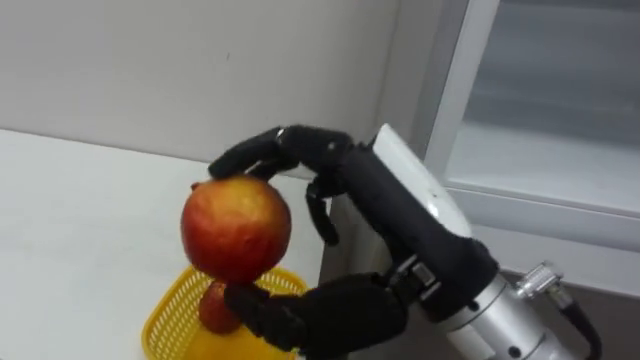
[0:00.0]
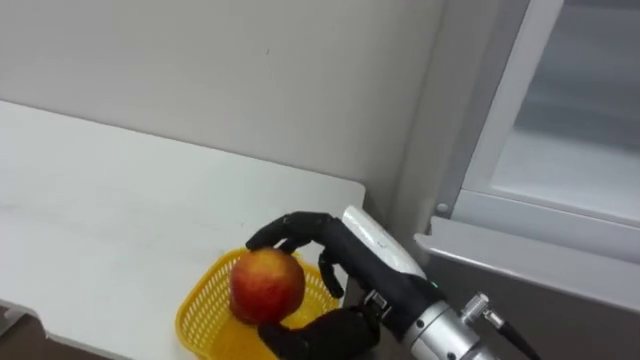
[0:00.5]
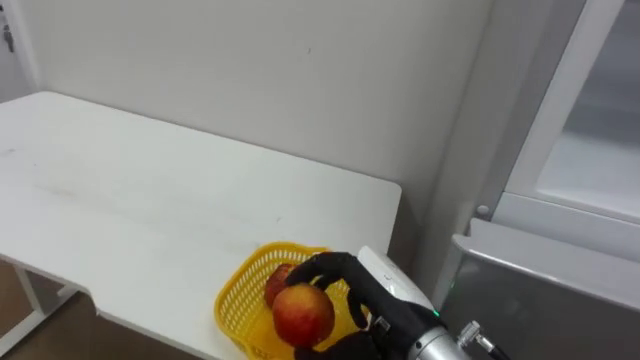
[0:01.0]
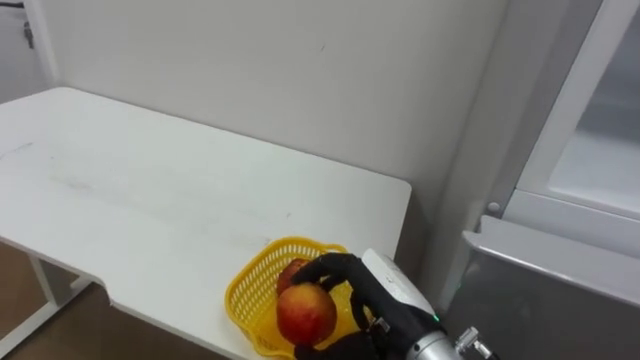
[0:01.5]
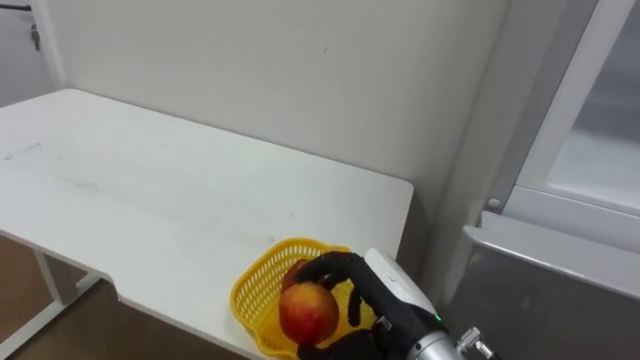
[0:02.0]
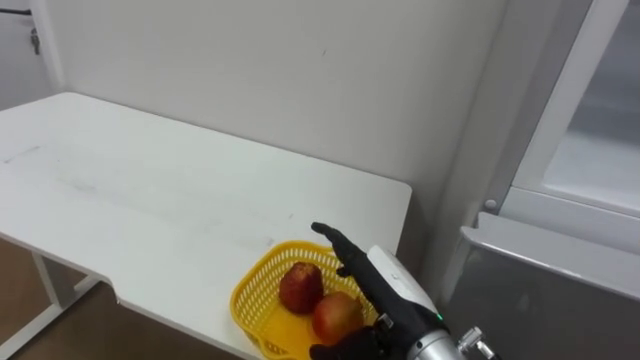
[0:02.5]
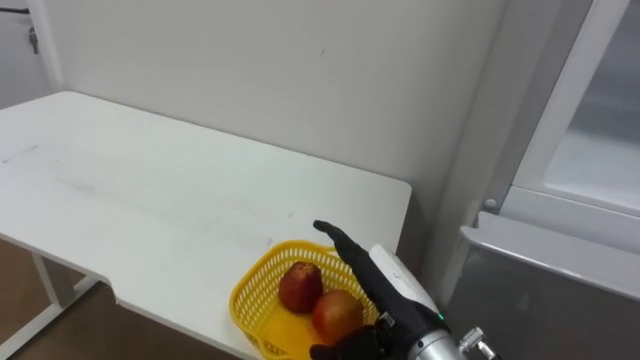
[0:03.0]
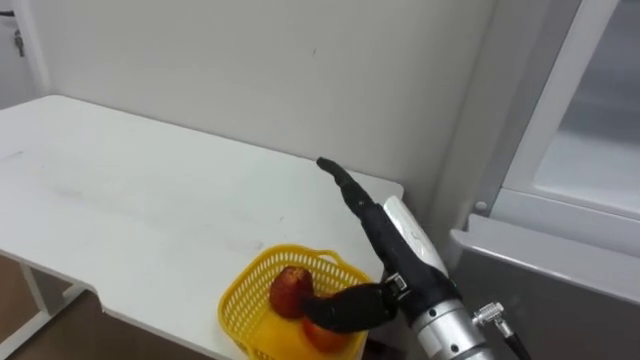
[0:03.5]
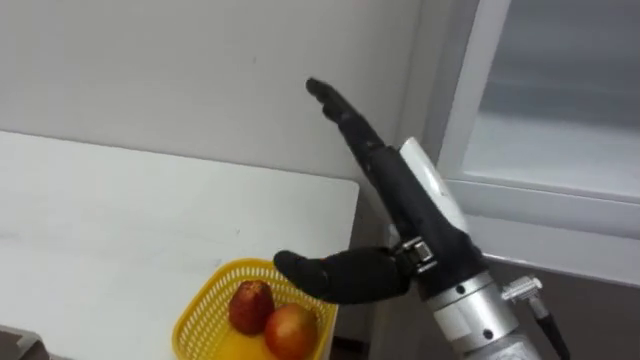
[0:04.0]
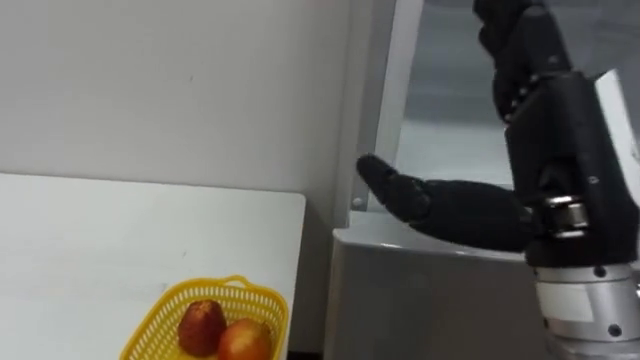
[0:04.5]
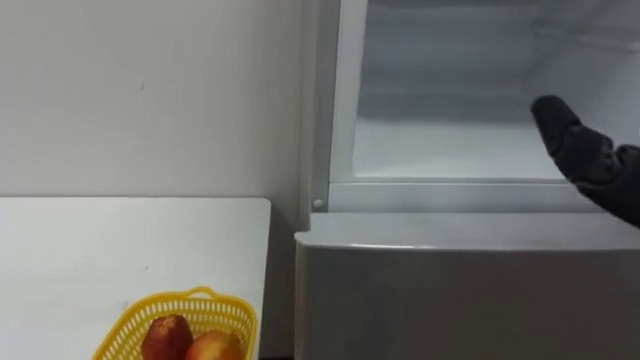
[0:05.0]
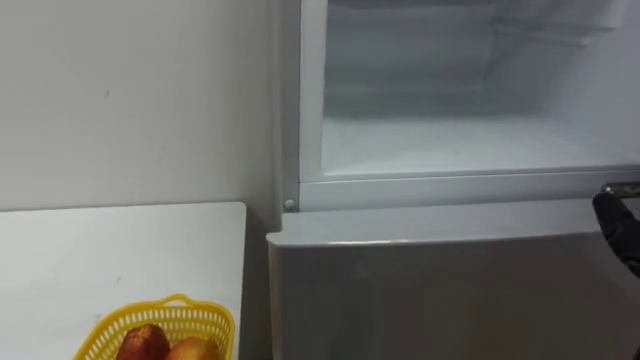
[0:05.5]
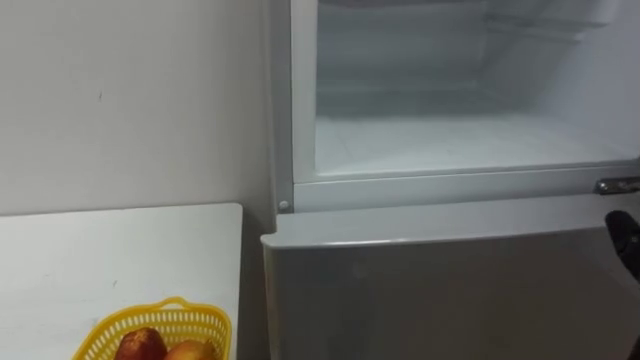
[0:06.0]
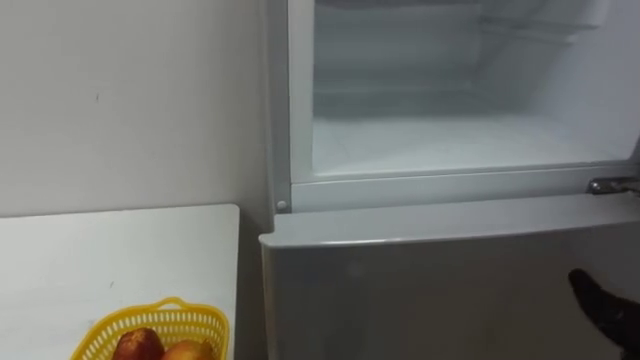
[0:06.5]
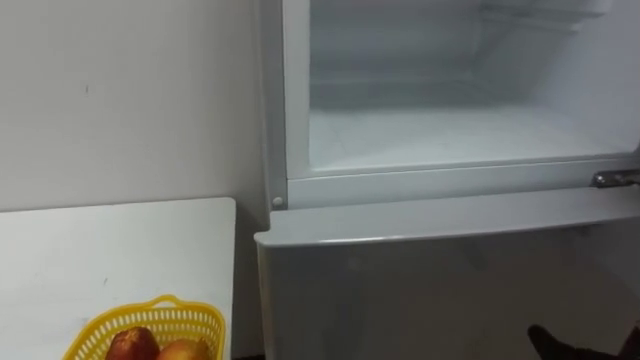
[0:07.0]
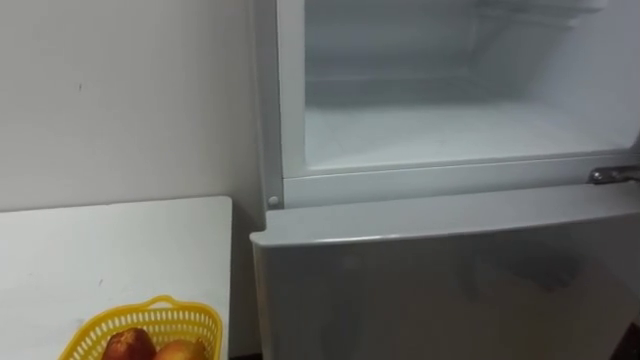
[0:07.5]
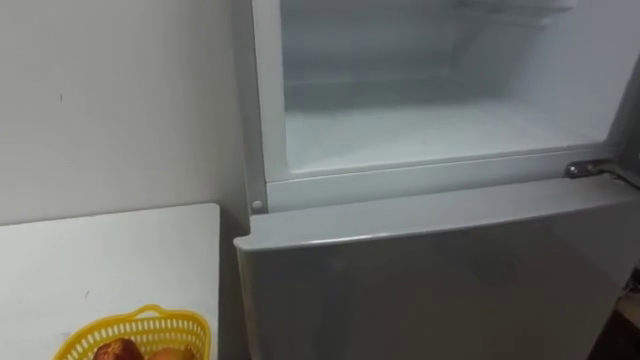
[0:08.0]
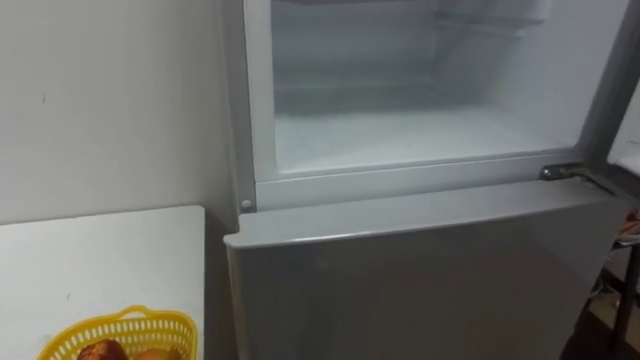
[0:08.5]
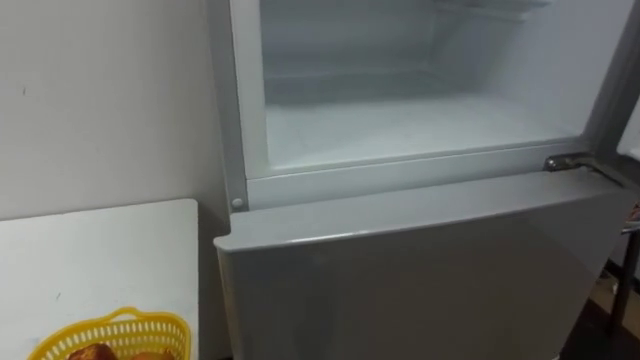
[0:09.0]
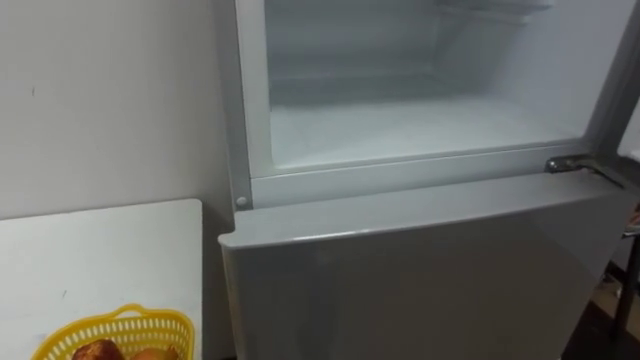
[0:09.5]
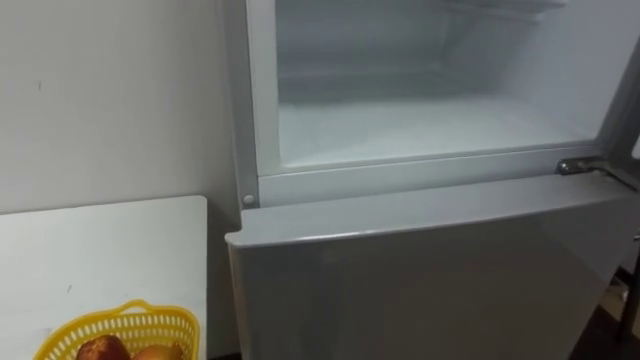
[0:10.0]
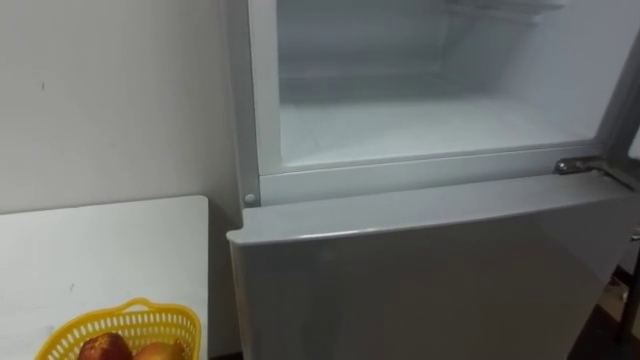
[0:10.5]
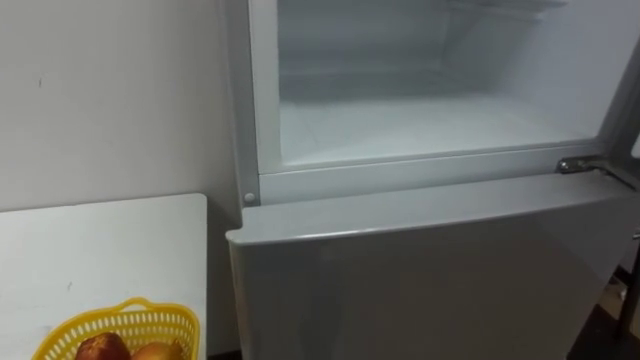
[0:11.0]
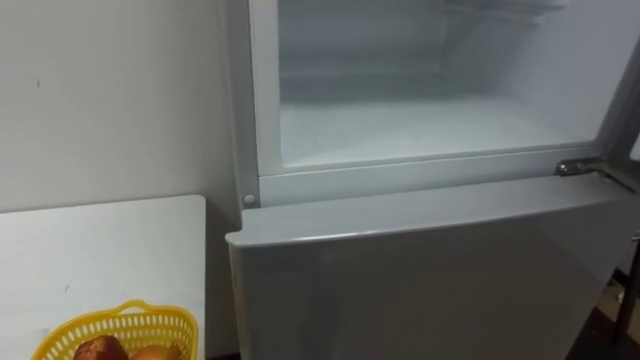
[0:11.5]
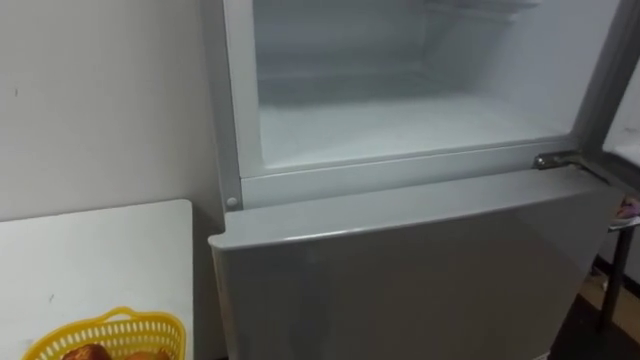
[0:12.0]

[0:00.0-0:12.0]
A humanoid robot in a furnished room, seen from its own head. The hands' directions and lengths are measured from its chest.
Task of the whole recording: Open the refrigerator door, take out the apple and the pomegranate, place them in the fruit basket on the left, and close the refrigerator door.
0:00.0 to 0:02.0: The right hand travels downward and forward by approximately 20 cm.
0:02.0 to 0:04.0: The right hand moves upward, roughly 15 cm, and opens its fingers.

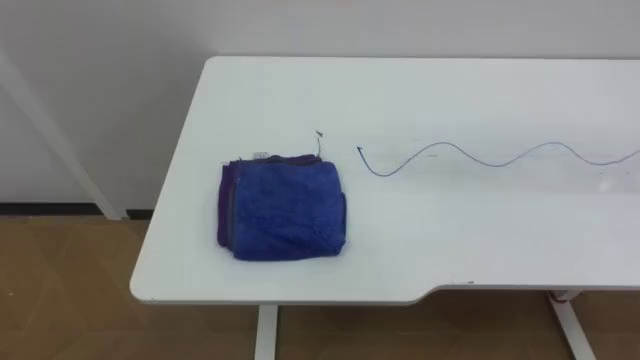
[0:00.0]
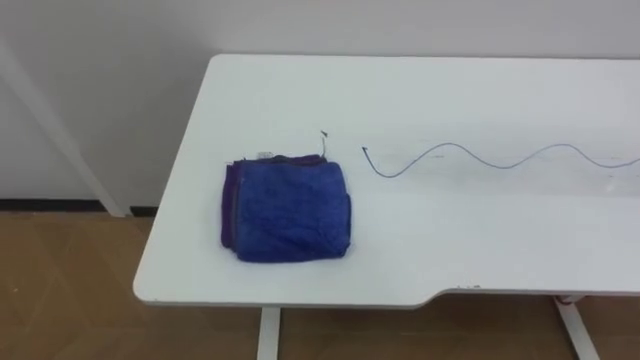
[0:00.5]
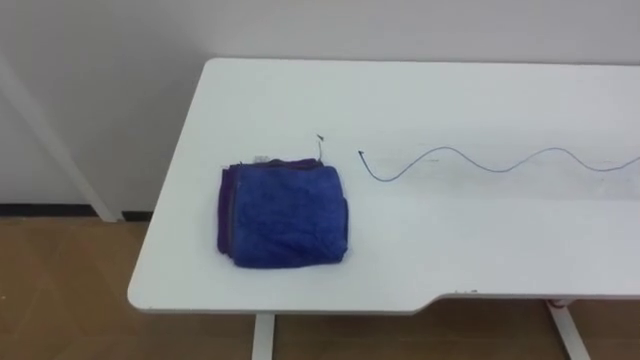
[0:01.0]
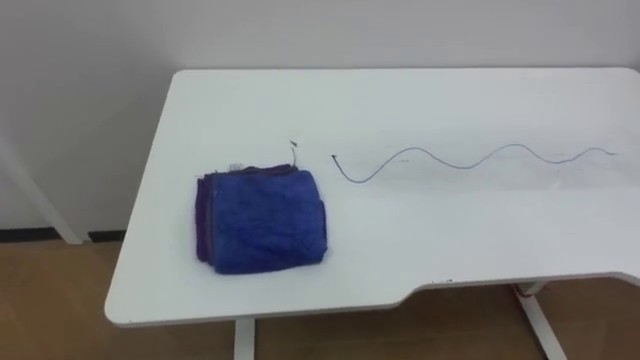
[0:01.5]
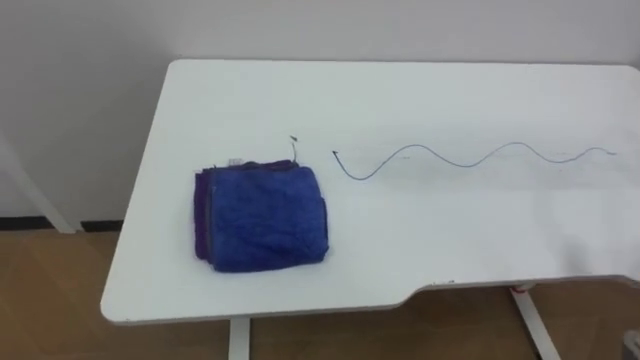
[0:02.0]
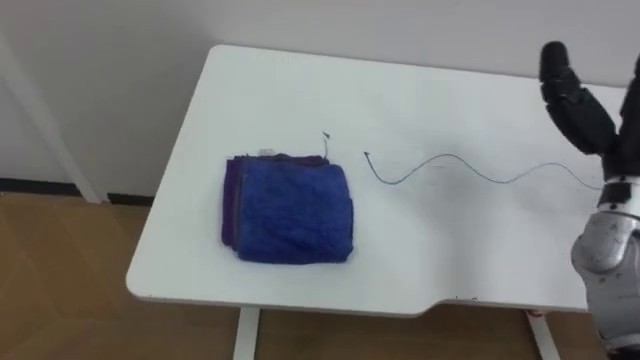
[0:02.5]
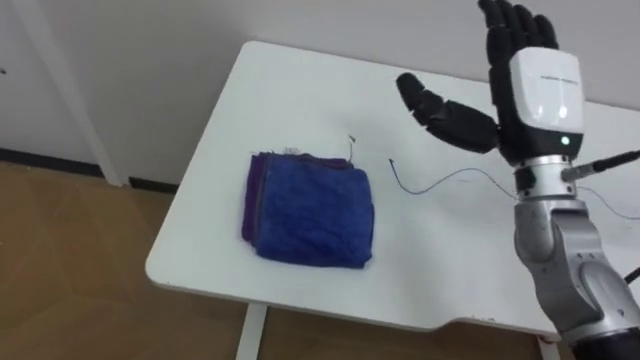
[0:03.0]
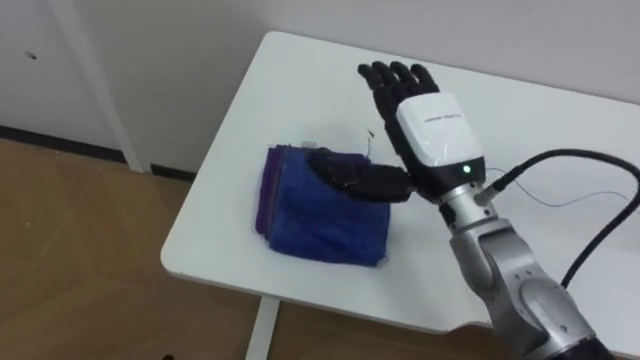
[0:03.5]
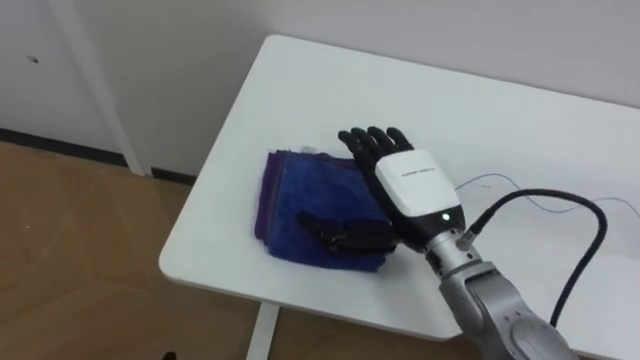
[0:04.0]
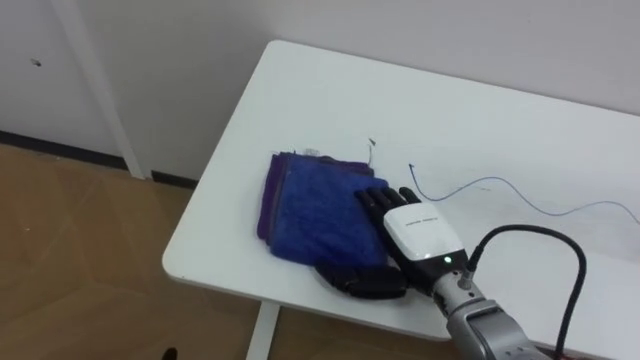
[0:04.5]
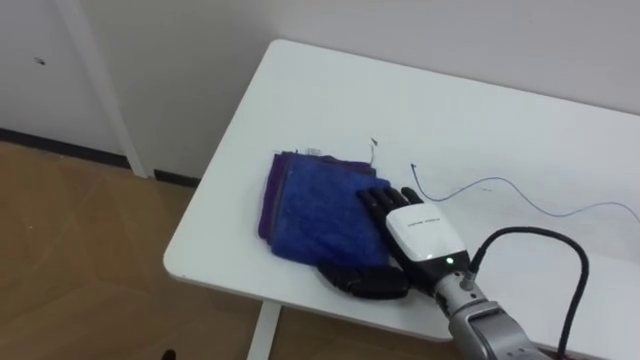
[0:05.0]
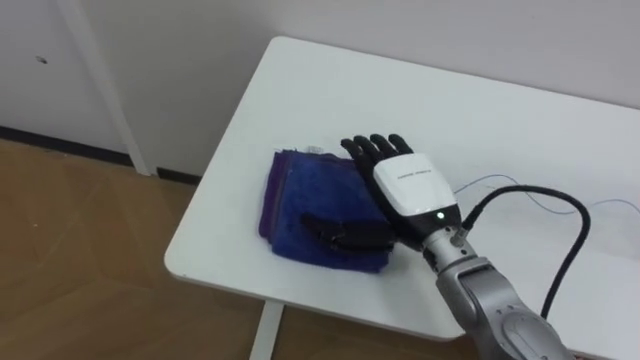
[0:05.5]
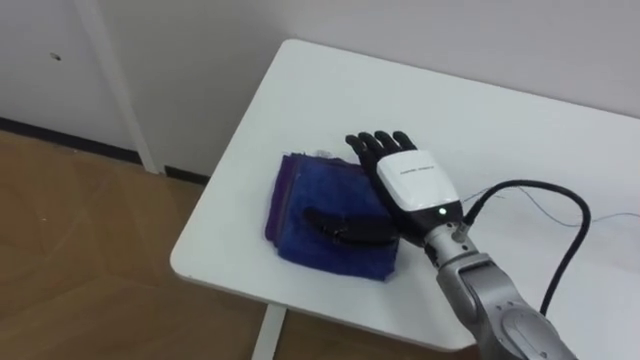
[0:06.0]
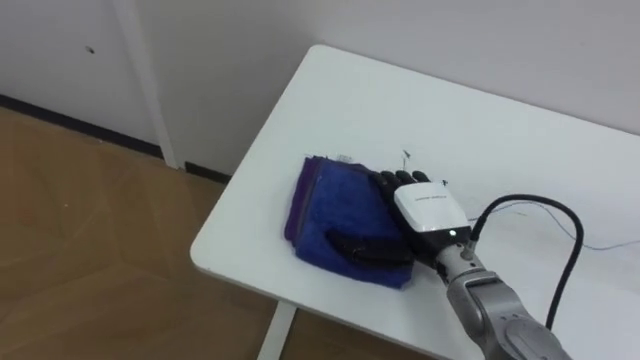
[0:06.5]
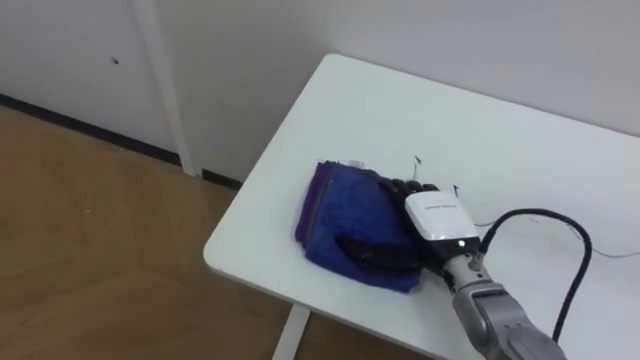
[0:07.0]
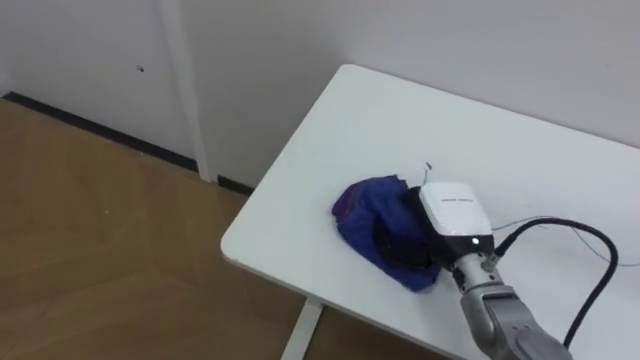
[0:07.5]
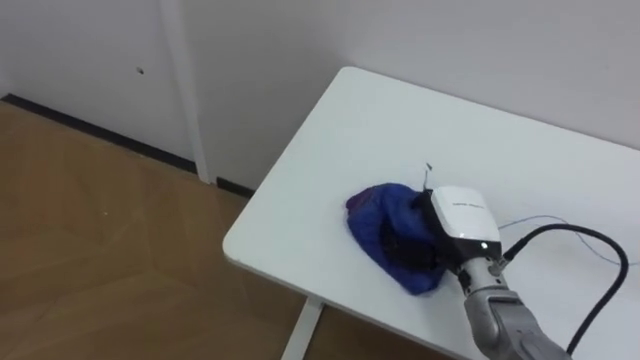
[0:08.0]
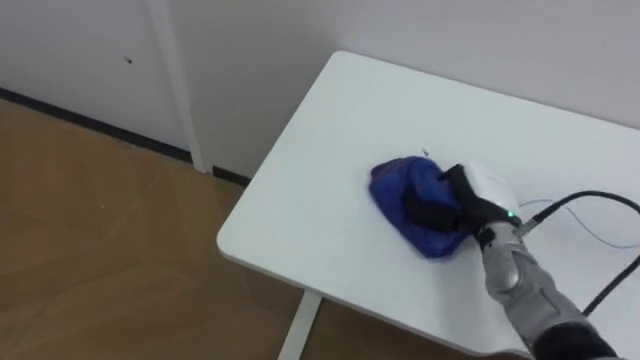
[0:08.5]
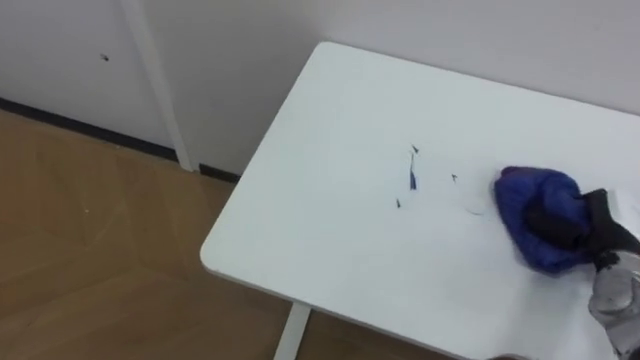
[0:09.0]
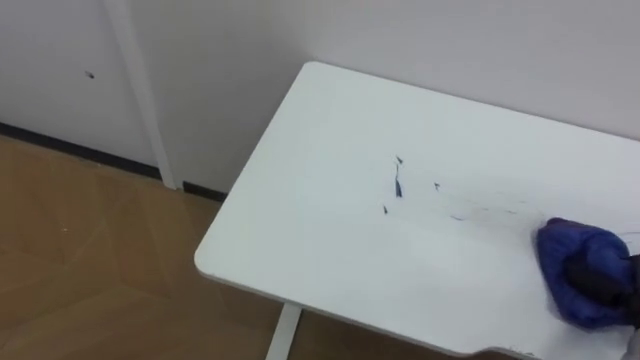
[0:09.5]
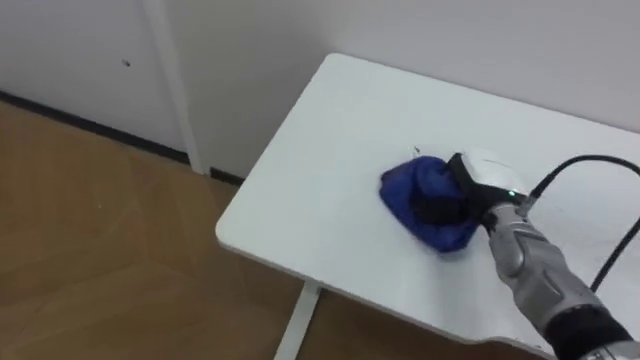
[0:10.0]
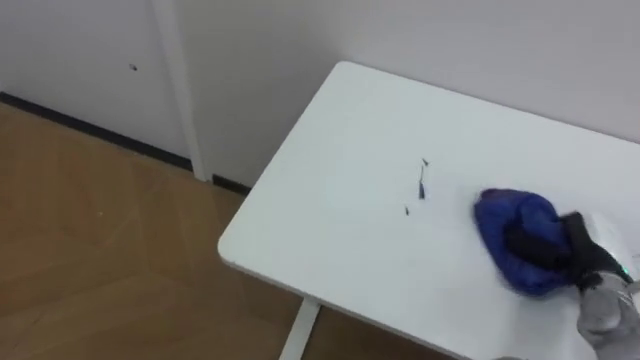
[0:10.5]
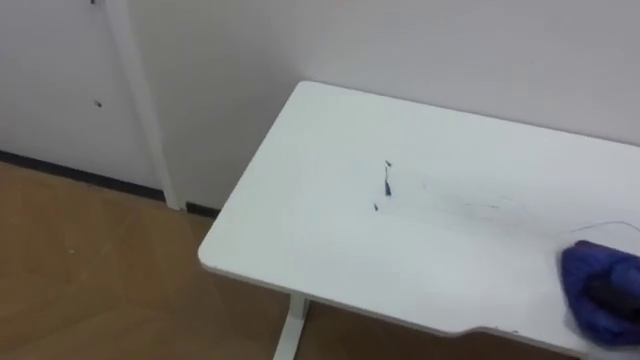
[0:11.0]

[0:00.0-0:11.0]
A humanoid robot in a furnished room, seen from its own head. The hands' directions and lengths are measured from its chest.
Task of the whole recording: Wipe the blue pen marks off the table with the rag.
0:03.5 to 0:05.5: The right hand goes about 10 cm downward.
0:05.5 to 0:07.5: The right hand moves downward and to the right, about 10 cm, and closes its fingers.
0:07.5 to 0:09.0: The right hand shifts approximately 20 cm to the right.
